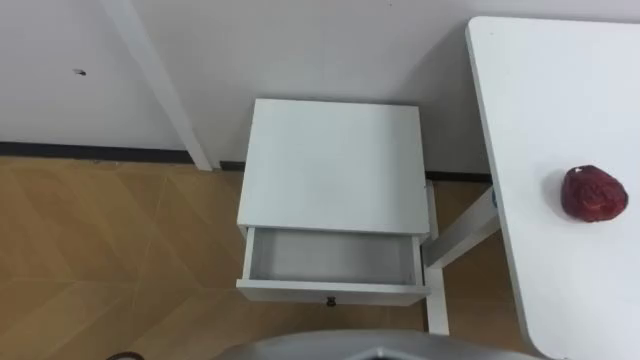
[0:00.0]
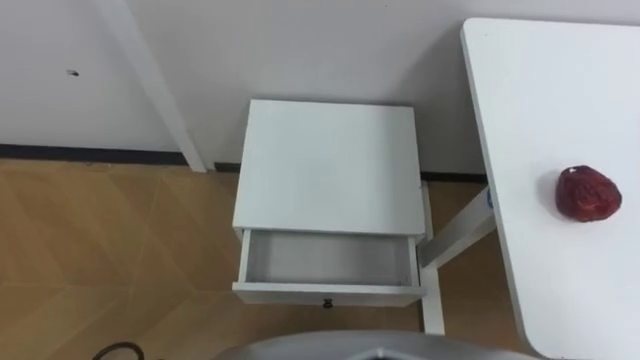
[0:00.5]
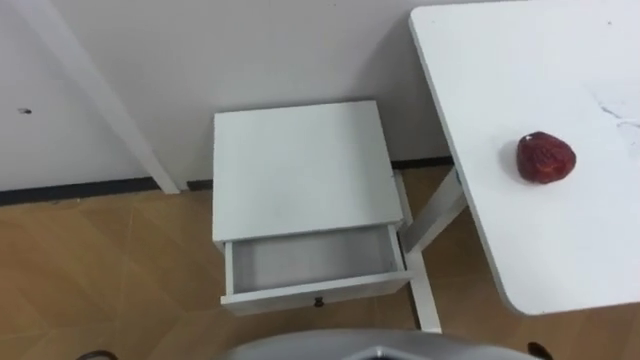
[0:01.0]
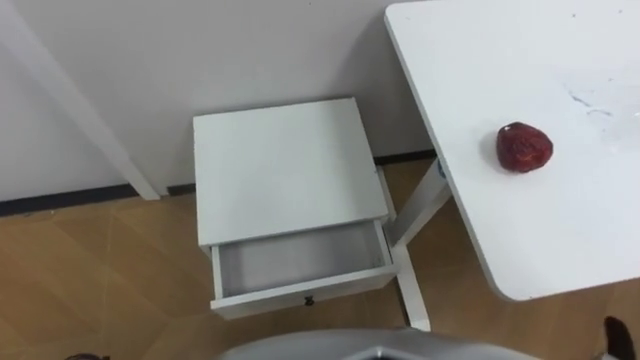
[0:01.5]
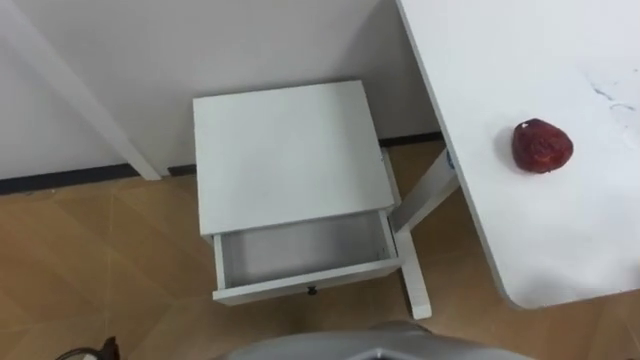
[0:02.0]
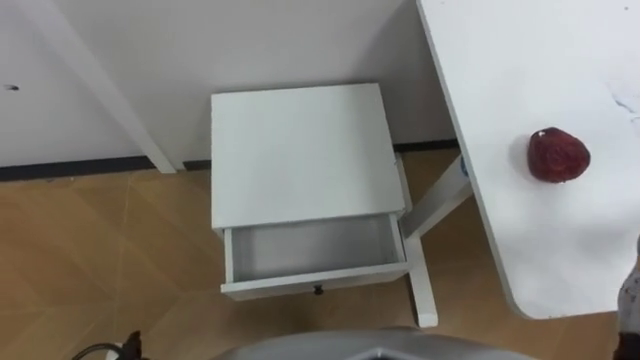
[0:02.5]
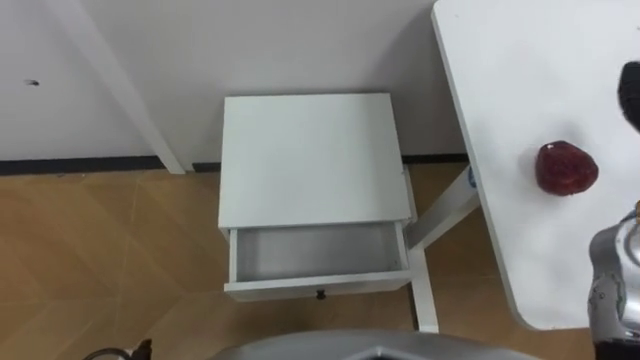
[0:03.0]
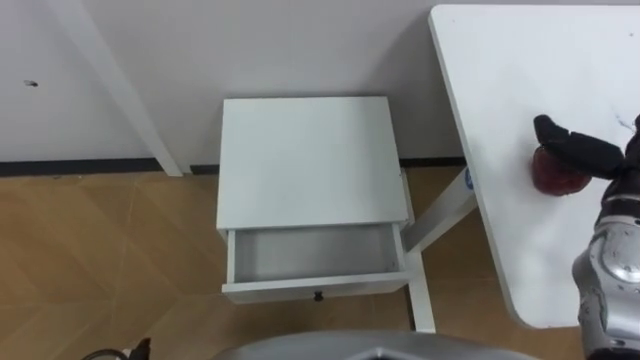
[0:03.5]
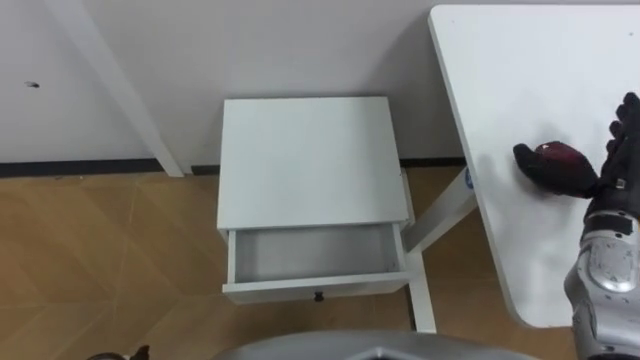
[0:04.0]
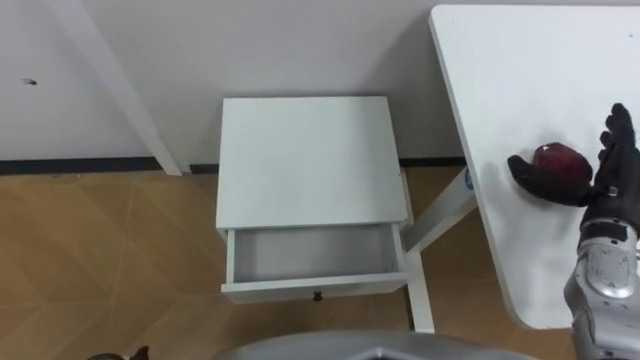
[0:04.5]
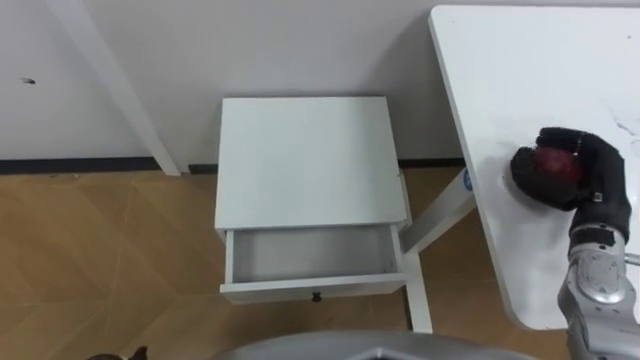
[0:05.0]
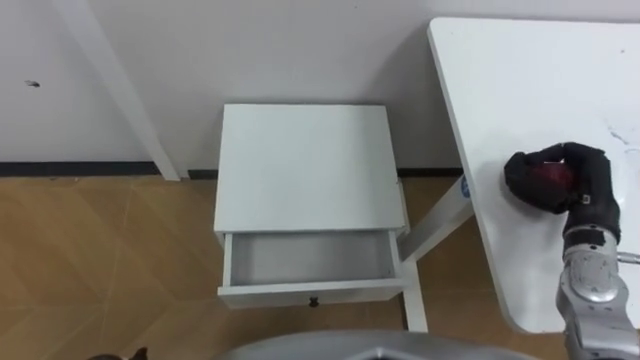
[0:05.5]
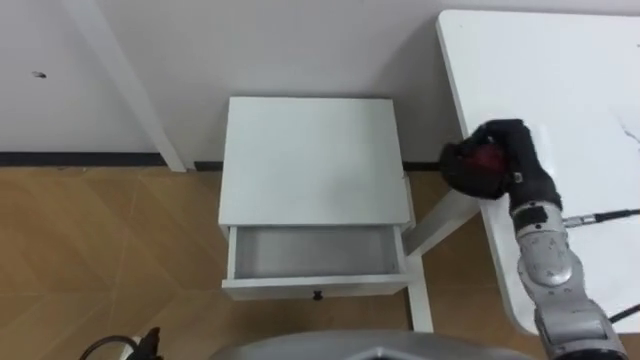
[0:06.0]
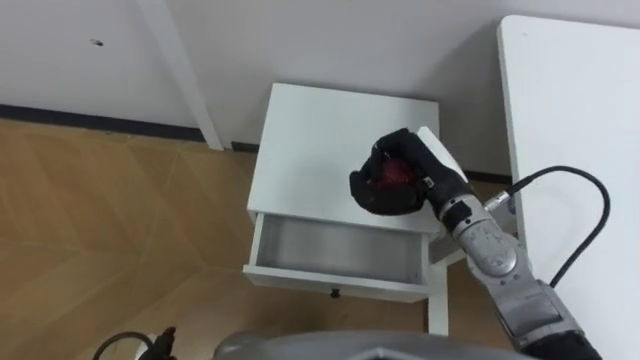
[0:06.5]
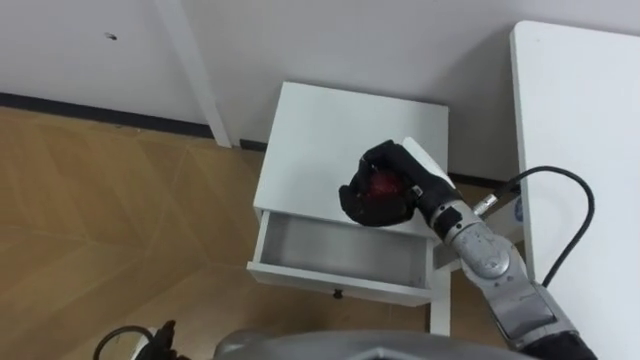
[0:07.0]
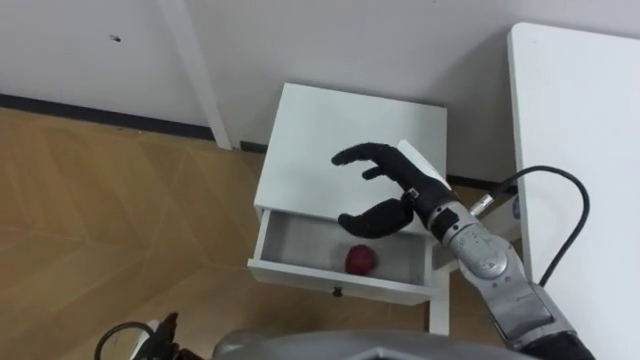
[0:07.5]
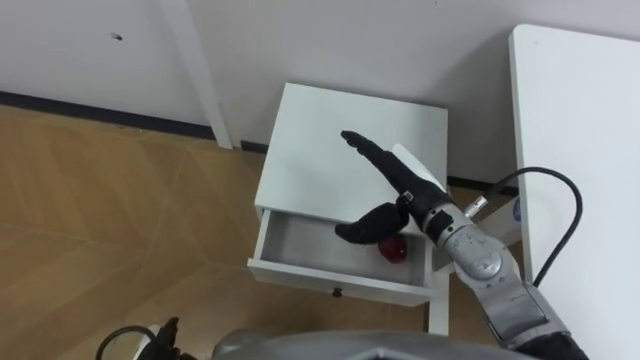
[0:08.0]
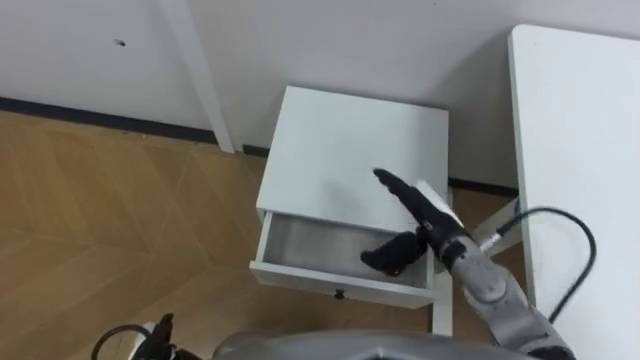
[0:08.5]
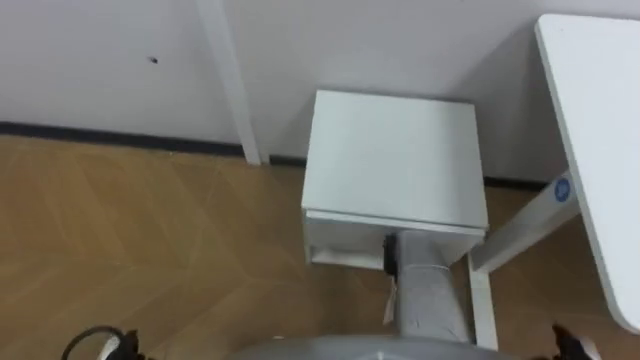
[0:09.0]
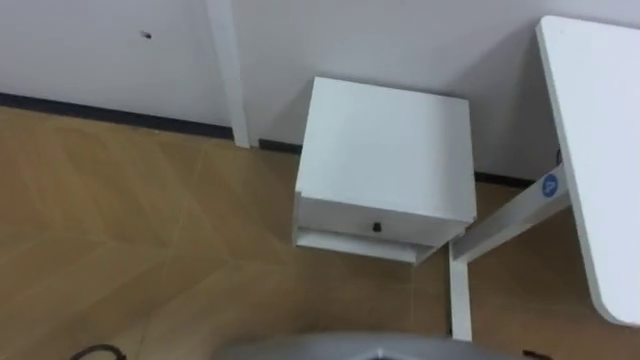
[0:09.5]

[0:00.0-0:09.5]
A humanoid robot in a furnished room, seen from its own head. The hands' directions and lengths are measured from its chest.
Task of the whole recording: Pick up the apple from the table, put it in the drawer, and close the drawer with leg.
0:04.0 to 0:05.5: The right hand closes its fingers.
0:05.5 to 0:07.5: The right hand heads to the left, covering some 20 cm, and opens.

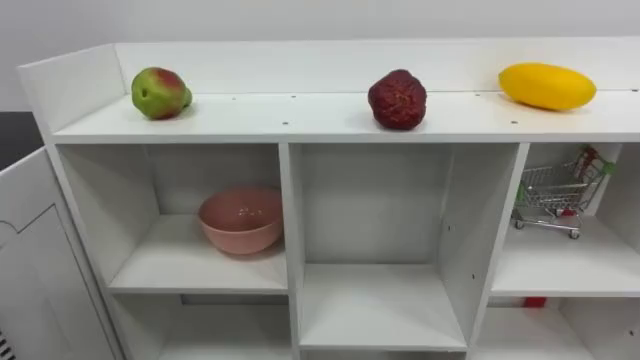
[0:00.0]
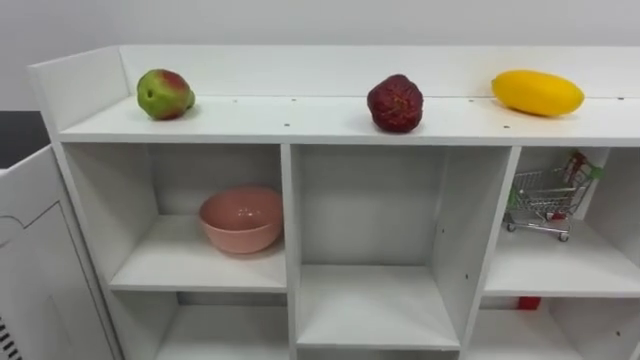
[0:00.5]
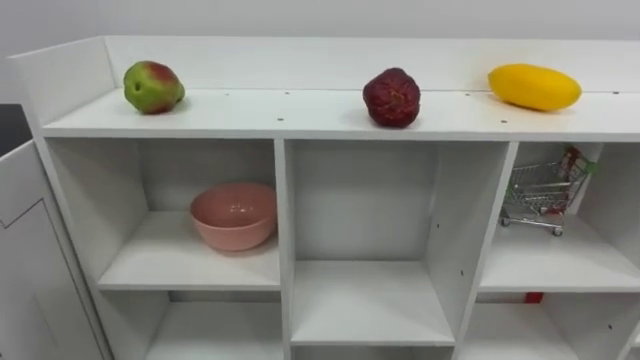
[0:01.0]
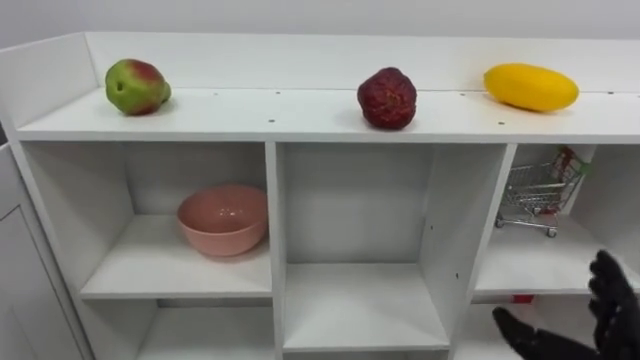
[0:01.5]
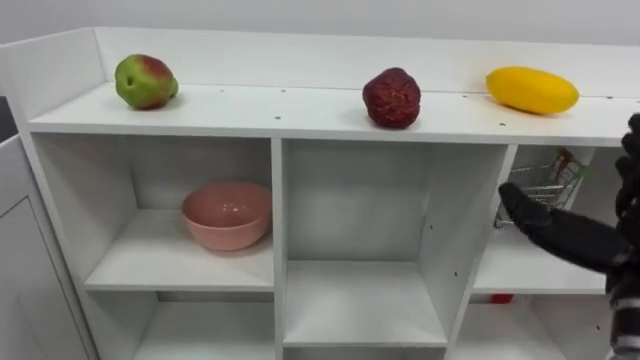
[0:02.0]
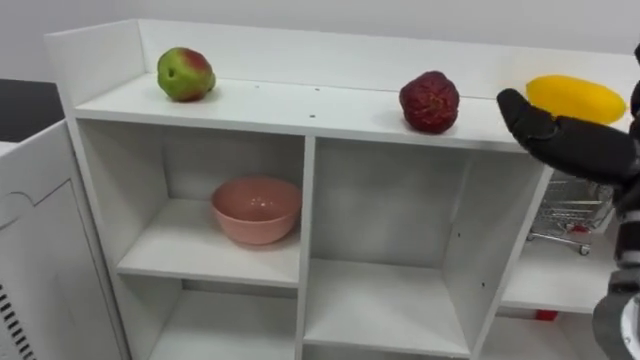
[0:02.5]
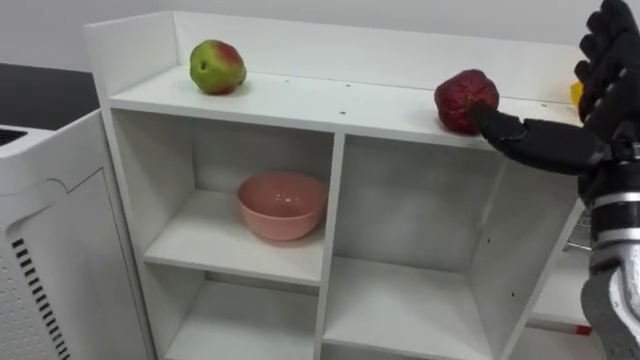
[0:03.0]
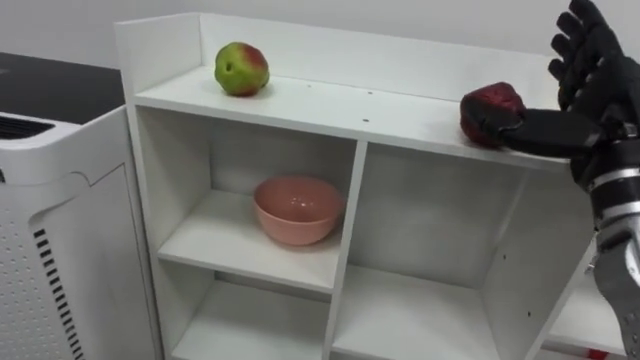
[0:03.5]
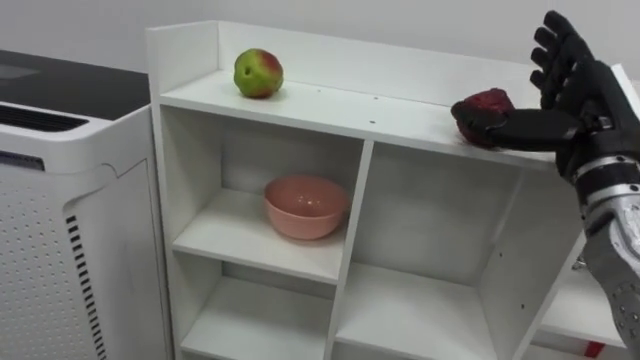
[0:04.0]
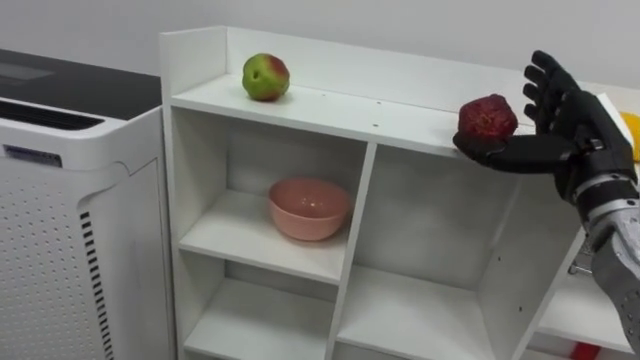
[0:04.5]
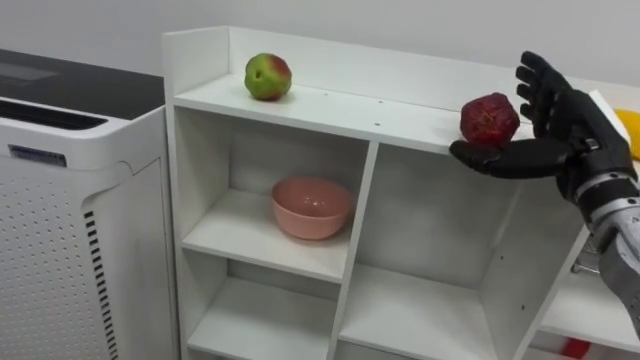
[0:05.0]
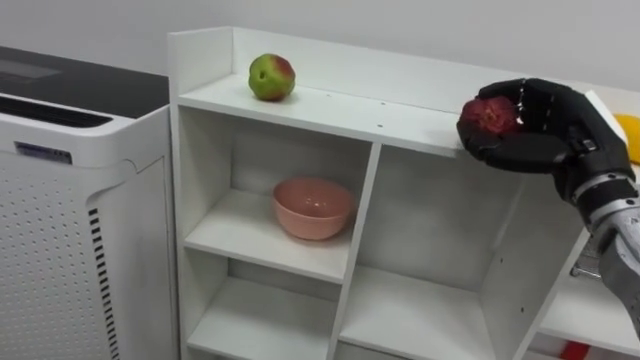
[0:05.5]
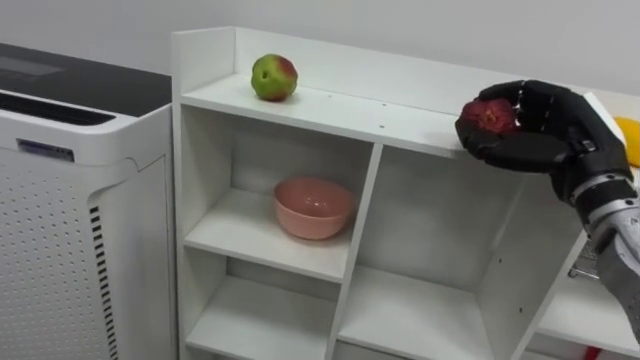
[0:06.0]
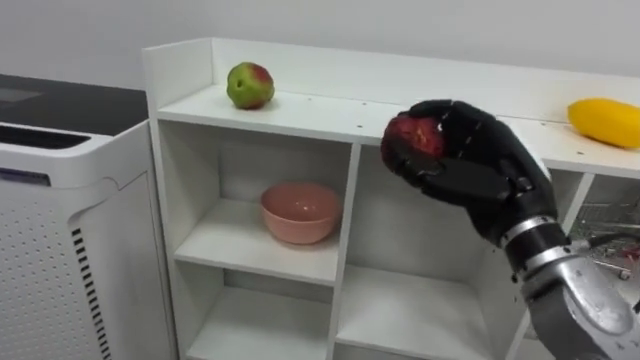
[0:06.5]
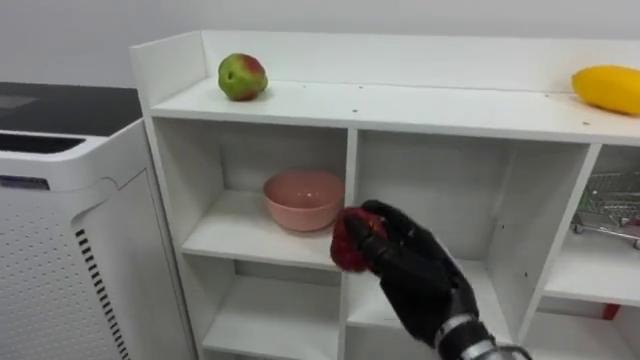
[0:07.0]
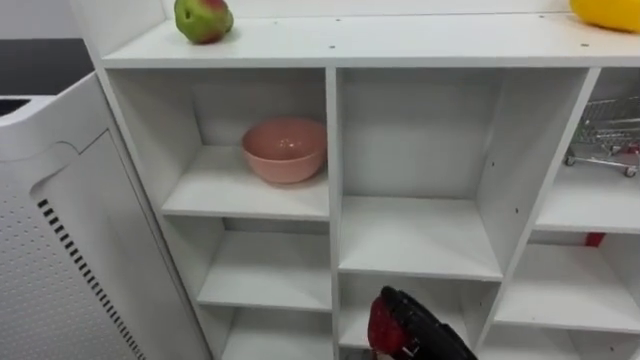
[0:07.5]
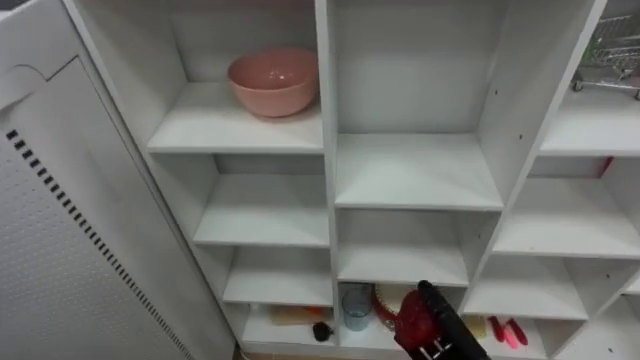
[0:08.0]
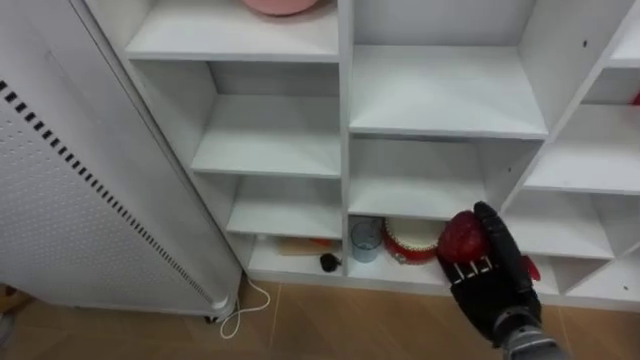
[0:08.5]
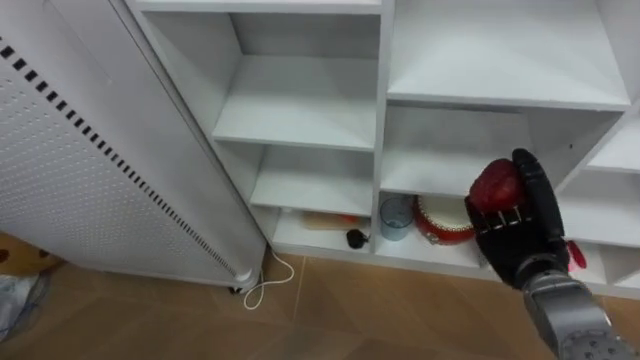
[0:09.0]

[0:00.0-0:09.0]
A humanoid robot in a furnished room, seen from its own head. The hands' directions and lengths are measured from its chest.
Task of the whole recording: Put the apple in the cell in the second column from the left and the second row from the top.
0:04.5 to 0:07.0: The right hand shifts roughly 20 cm to the left and downward, and closes.

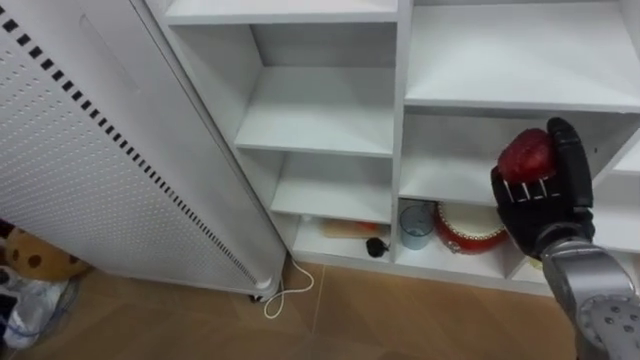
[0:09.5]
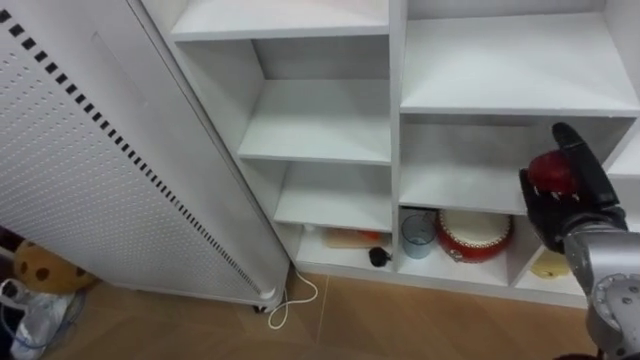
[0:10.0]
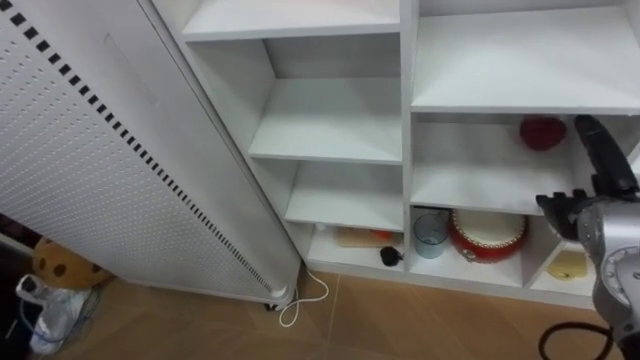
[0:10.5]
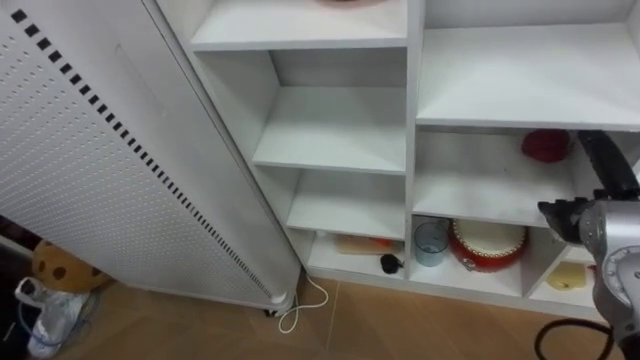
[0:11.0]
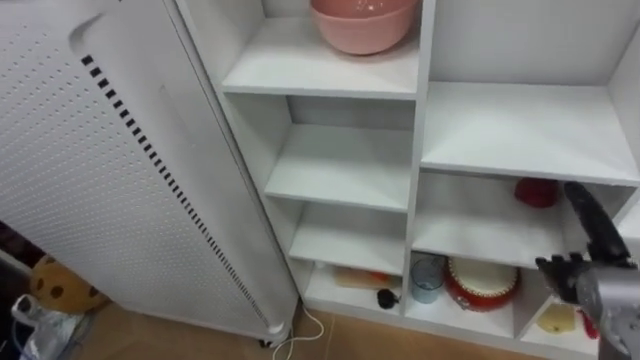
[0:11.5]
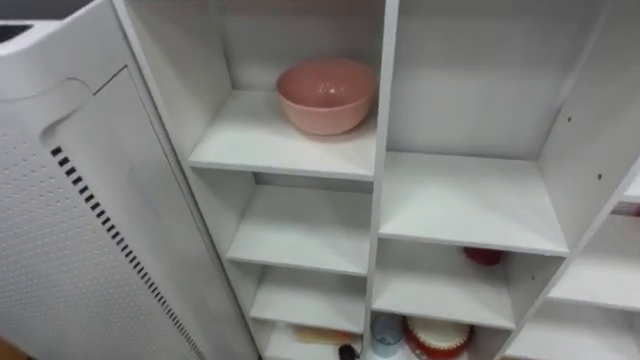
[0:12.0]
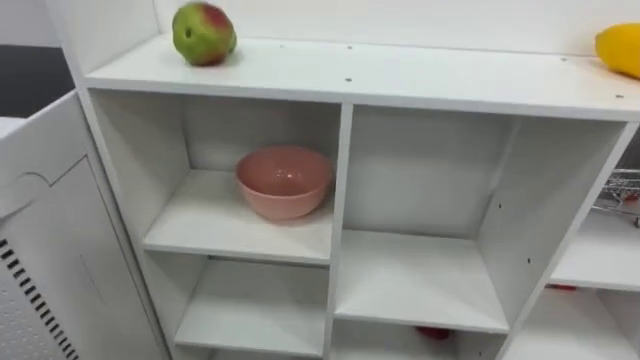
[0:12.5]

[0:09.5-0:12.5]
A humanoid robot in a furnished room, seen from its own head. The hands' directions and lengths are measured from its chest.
Task of the whole recording: Put the apple in the cell in the second column from the left and the second row from the top.
0:09.5 to 0:11.0: The right hand opens.
